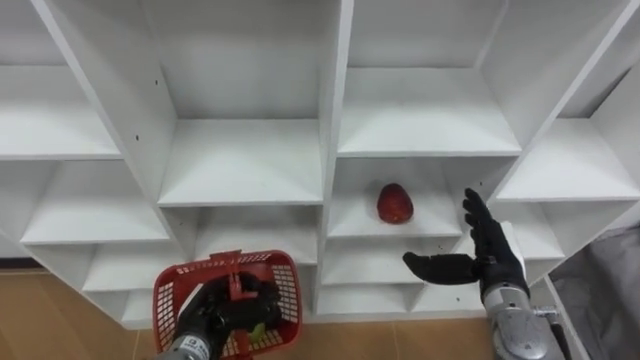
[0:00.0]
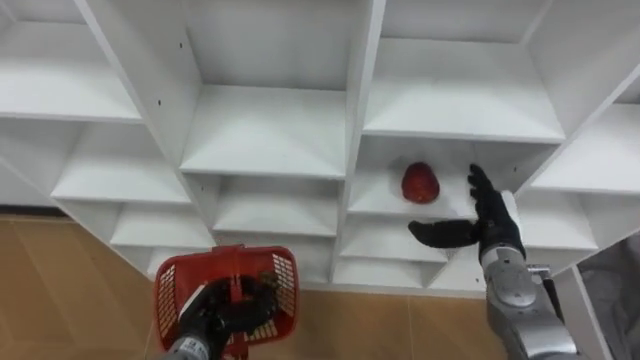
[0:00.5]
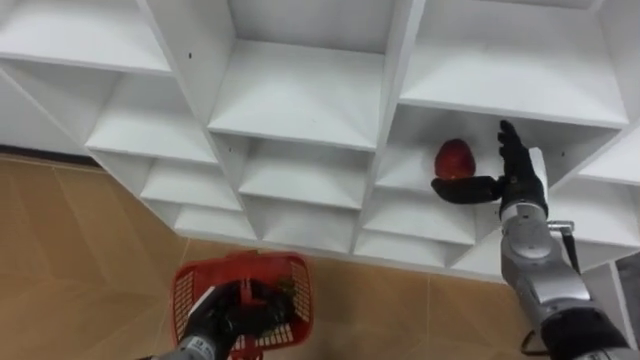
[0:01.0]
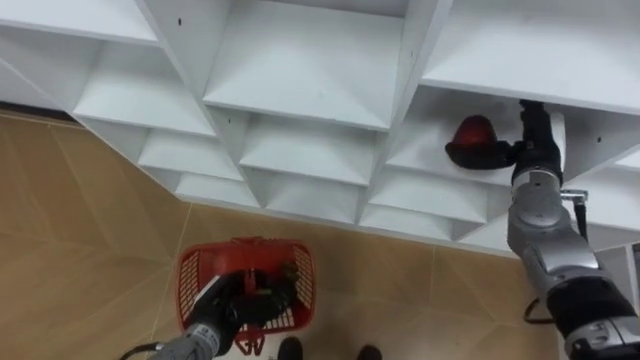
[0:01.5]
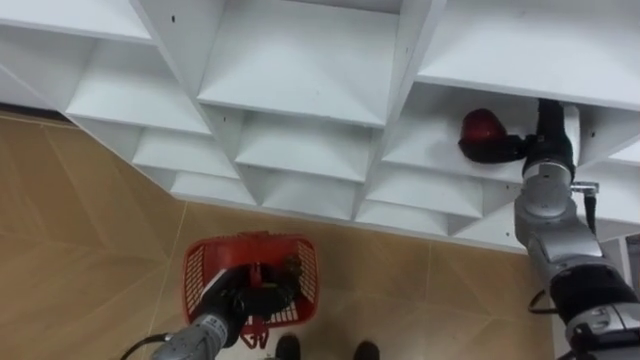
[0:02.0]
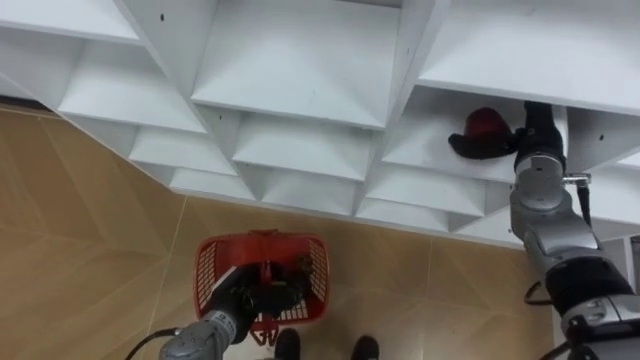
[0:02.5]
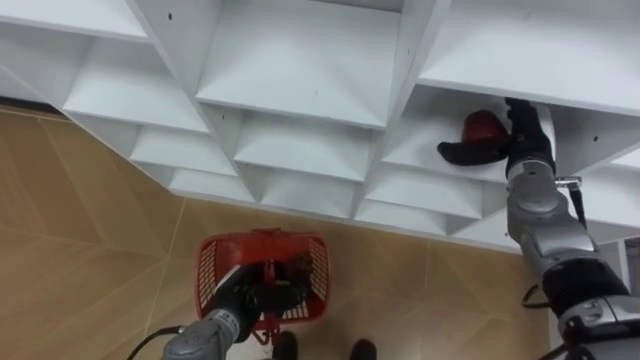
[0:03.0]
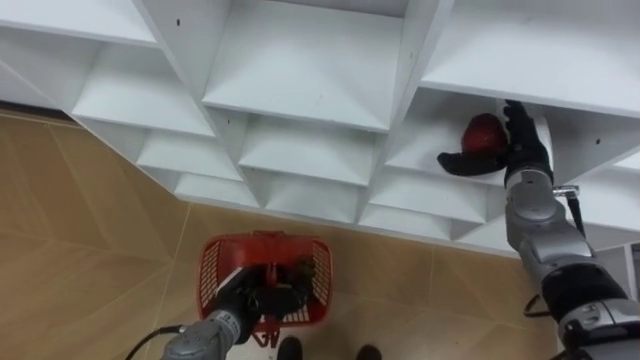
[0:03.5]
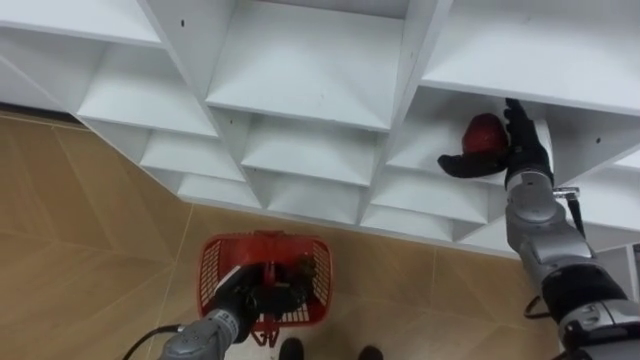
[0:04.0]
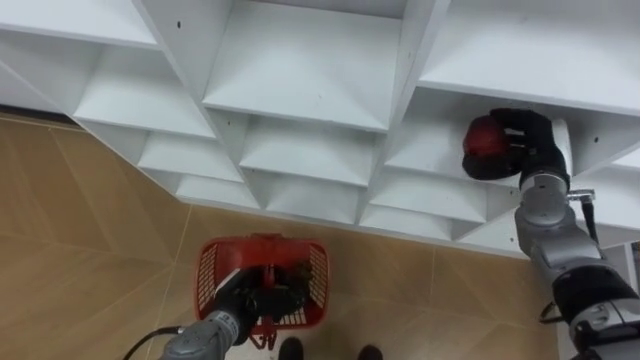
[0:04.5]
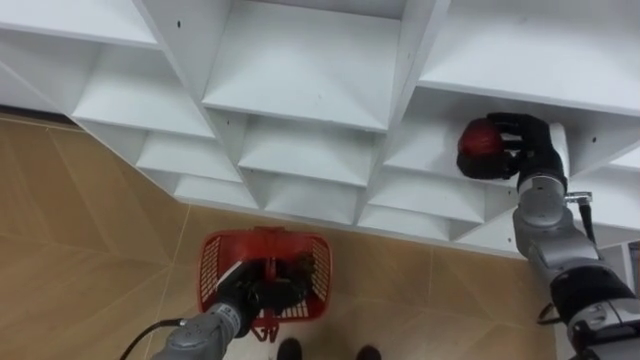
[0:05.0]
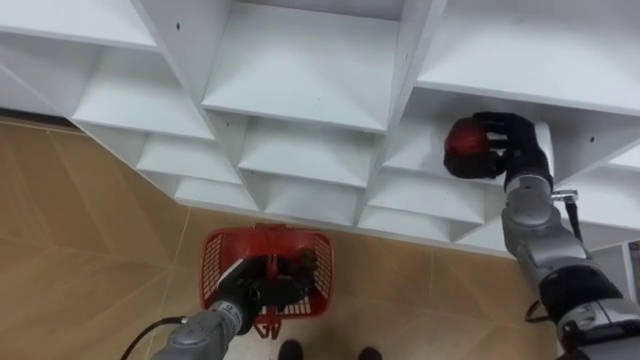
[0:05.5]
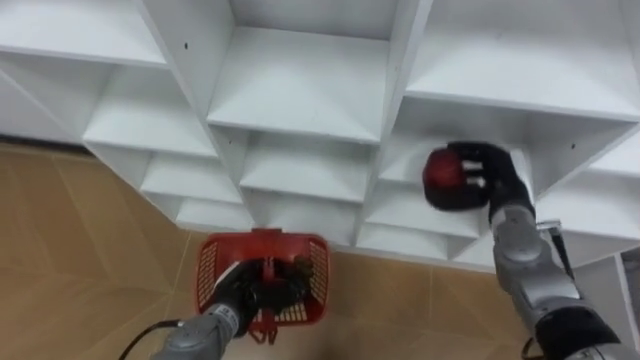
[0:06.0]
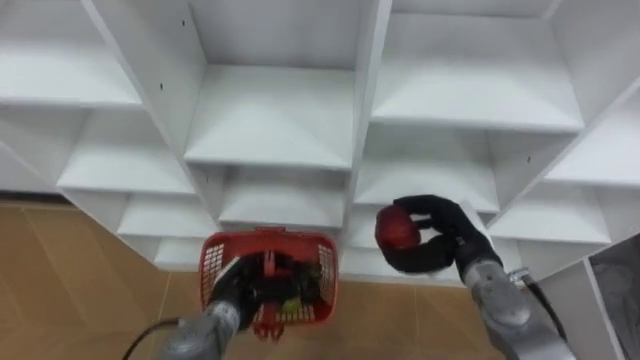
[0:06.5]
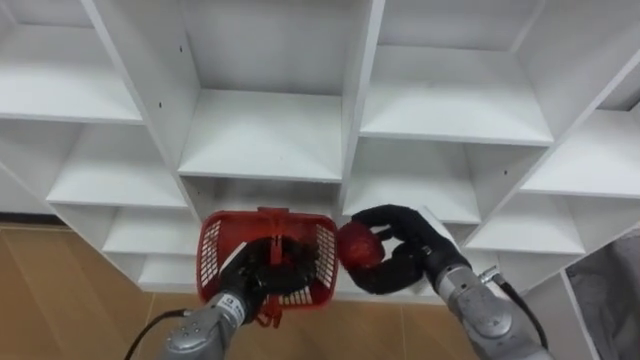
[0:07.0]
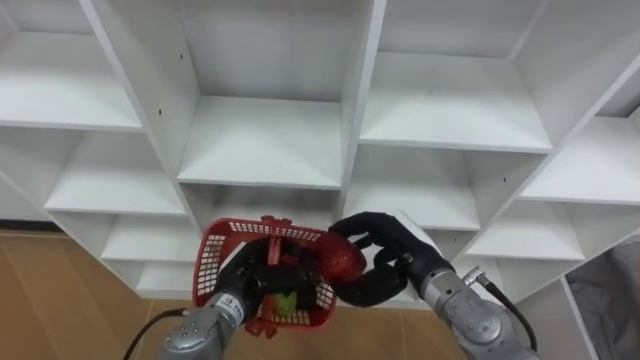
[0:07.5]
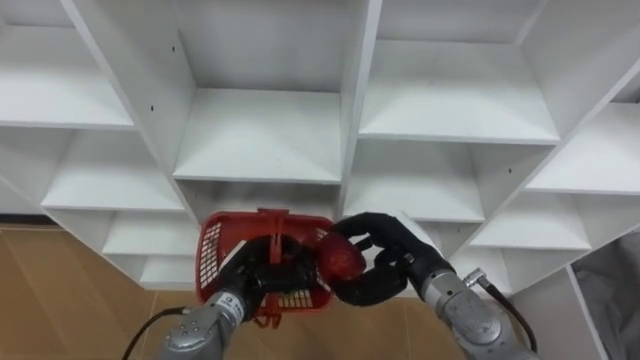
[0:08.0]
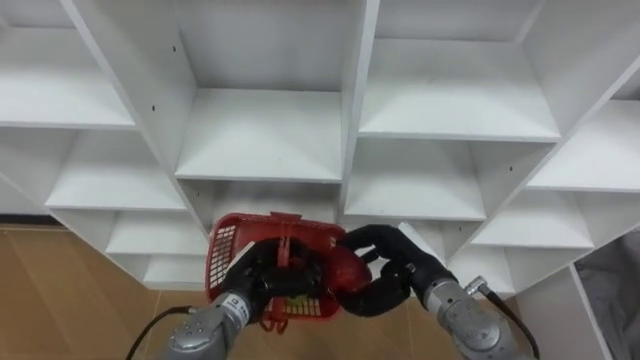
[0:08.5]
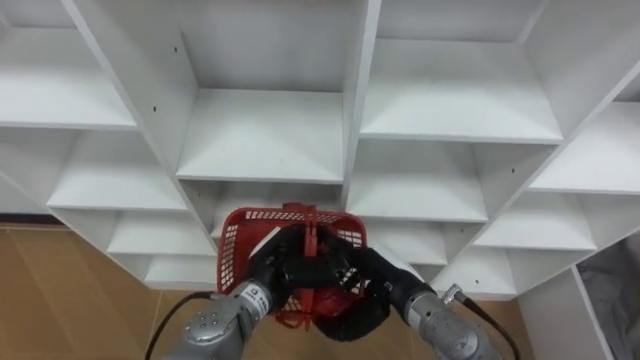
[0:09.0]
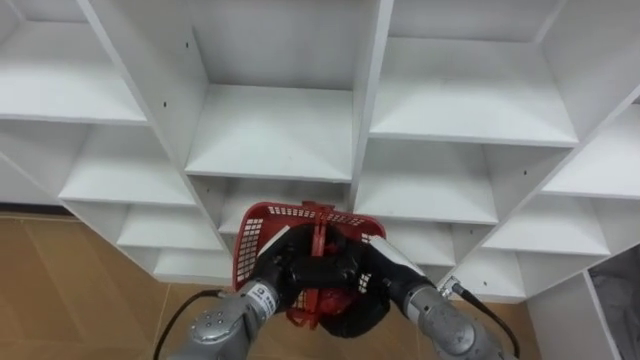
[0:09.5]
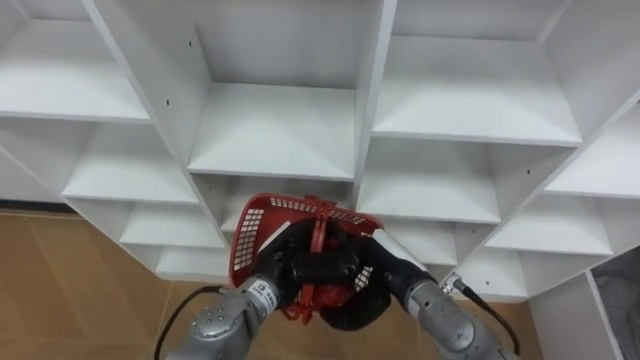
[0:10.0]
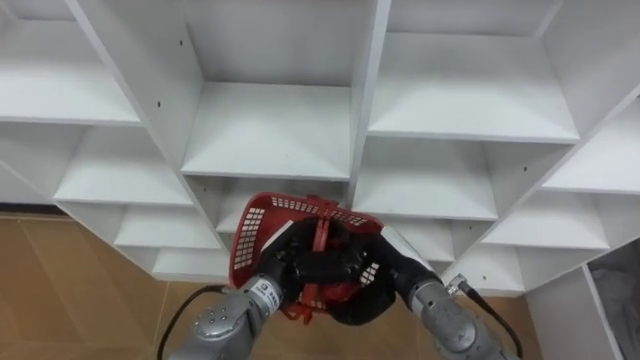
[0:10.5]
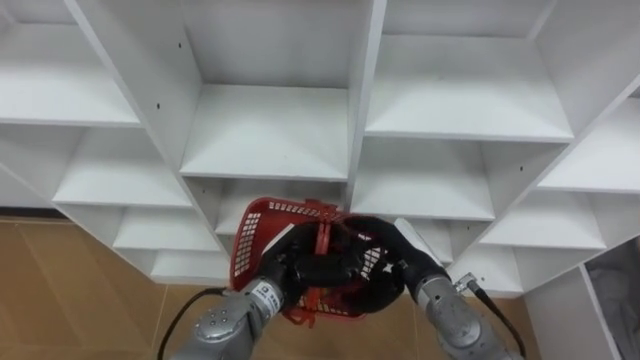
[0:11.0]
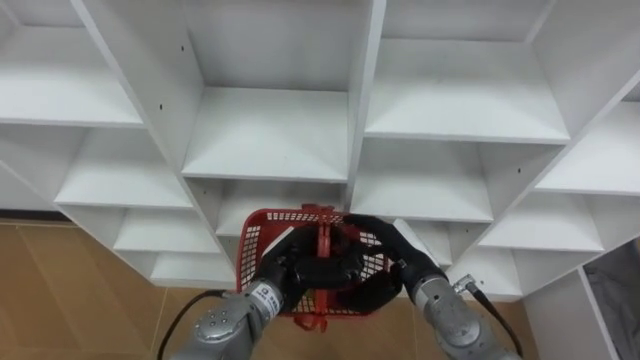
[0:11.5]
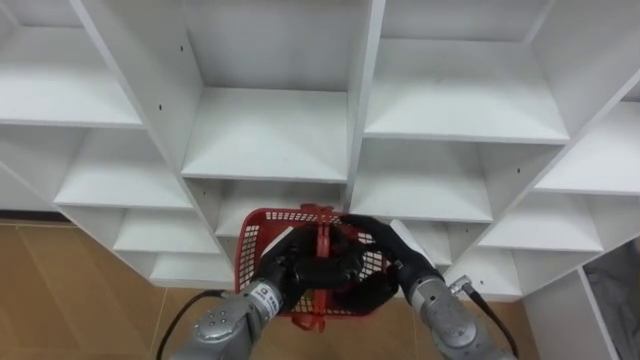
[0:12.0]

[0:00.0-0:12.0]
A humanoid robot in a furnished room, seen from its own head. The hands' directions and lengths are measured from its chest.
Task of the whole recording: Hold the basket and collect the fruits from 3 different cells of the closet into it.
0:00.0 to 0:02.0: The right hand is displaced forward, upward and to the right by roughly 15 cm.
0:04.0 to 0:06.0: The right hand closes up.
0:06.0 to 0:08.0: The right hand travels to the left and backward by about 15 cm.
0:08.0 to 0:10.0: The left hand goes roughly 5 cm to the right.
0:10.0 to 0:12.0: The right hand opens.

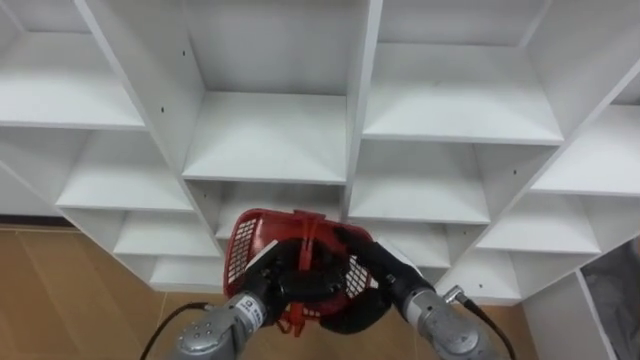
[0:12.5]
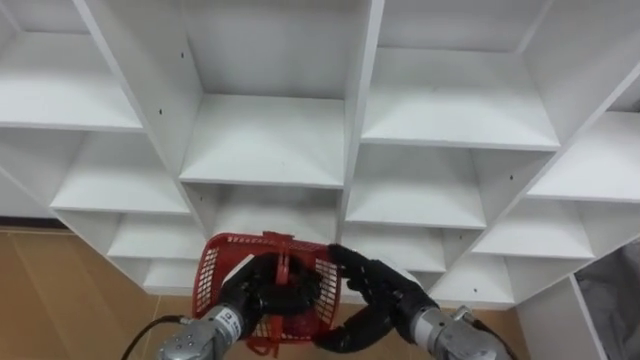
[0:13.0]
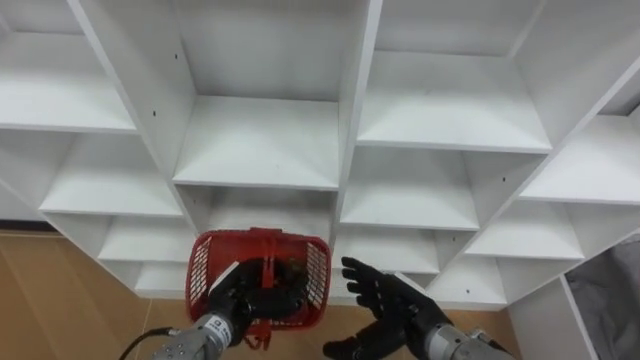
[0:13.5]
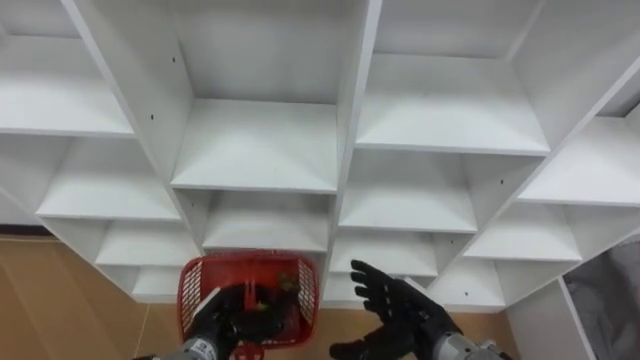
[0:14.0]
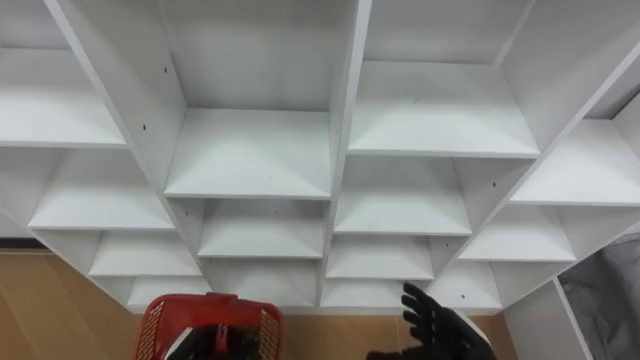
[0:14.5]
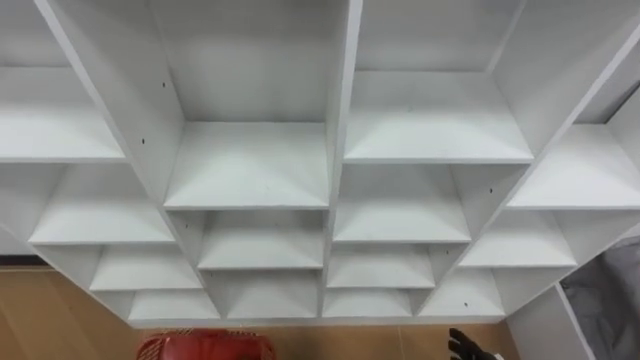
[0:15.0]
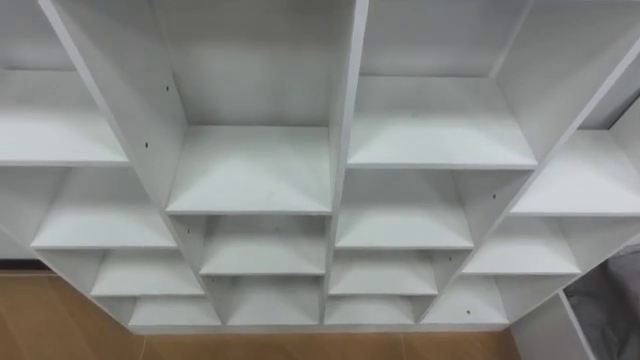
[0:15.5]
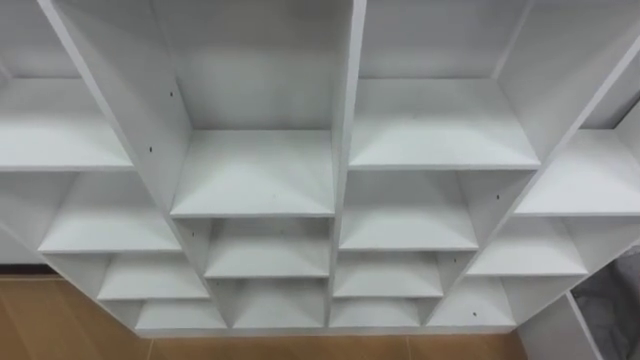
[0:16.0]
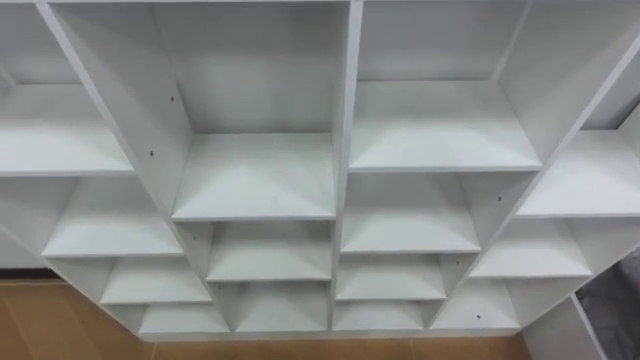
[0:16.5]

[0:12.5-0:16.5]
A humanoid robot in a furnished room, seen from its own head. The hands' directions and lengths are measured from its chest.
Task of the whole recording: Hold the basket and collect the fruits from 3 different cells of the closet into it.
0:12.5 to 0:14.5: The left hand goes approximately 15 cm to the left, backward and downward. The right hand shifts some 10 cm to the right and backward.

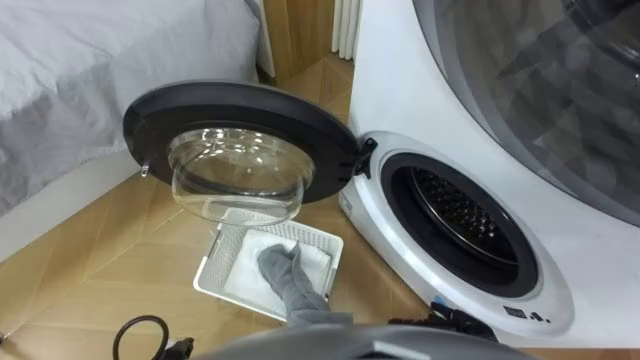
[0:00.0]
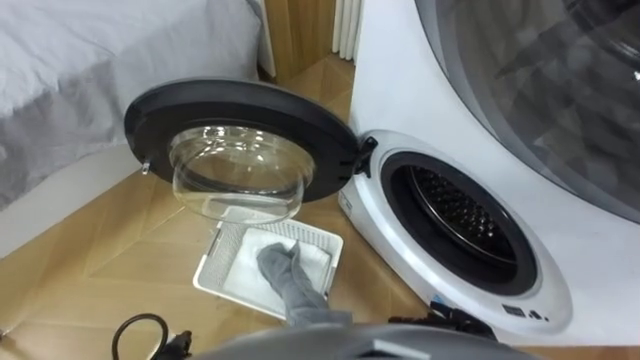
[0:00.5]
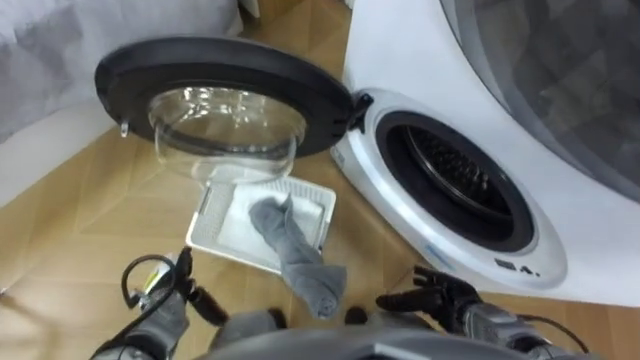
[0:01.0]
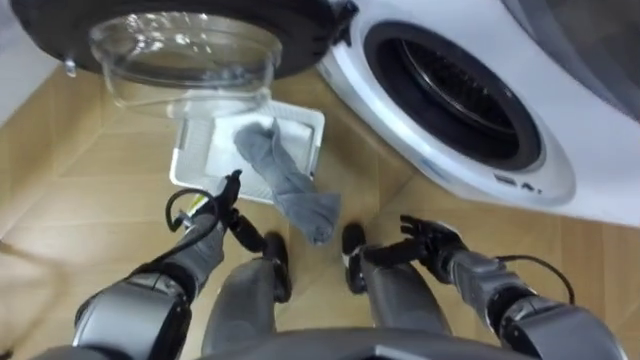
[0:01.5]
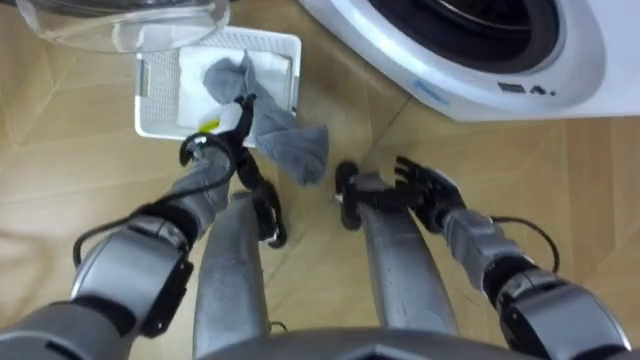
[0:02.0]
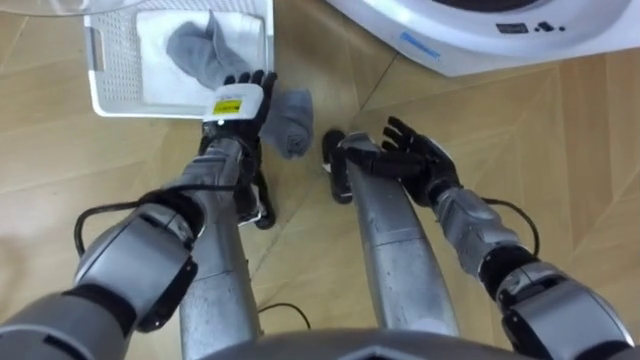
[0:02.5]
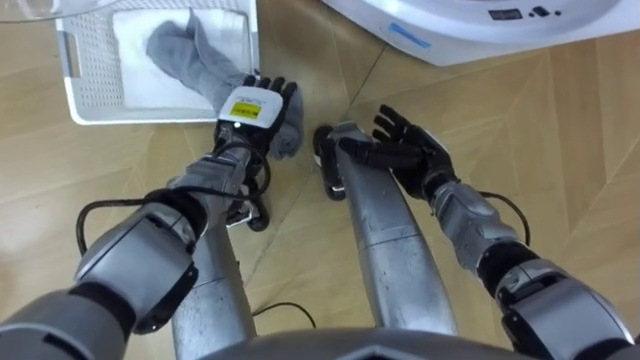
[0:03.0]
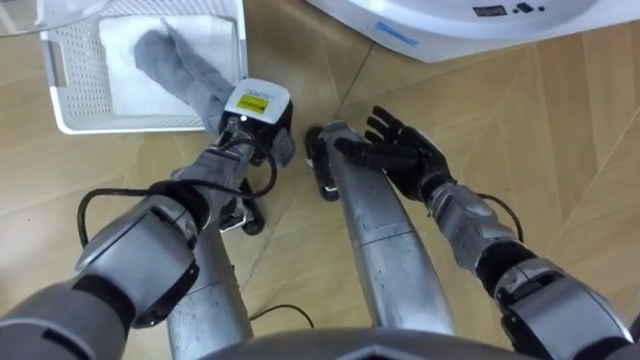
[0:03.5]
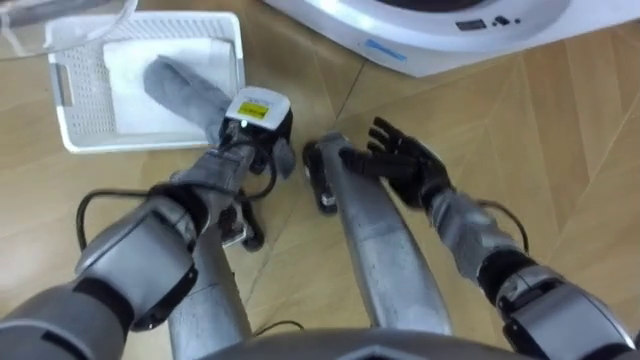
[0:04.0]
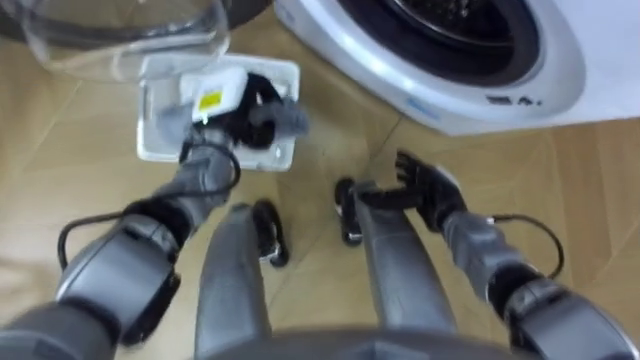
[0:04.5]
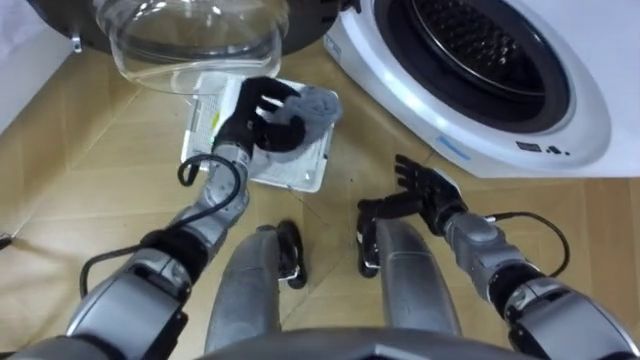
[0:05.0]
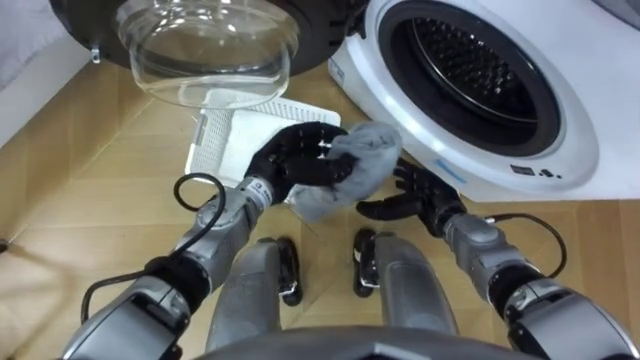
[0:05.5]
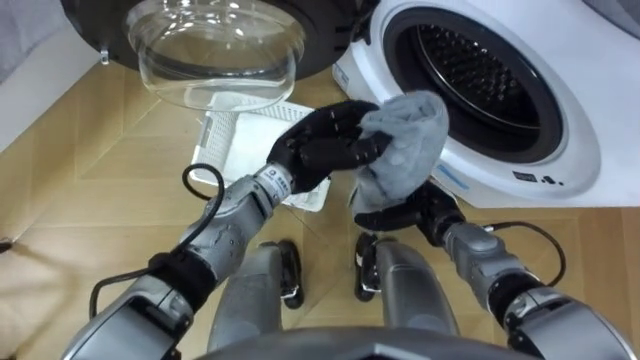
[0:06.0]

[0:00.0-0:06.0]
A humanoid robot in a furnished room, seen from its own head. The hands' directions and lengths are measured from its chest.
Task of the whole recording: Take the towel from the basket and put it into the washing machine.
0:02.0 to 0:04.0: The left hand shifts some 5 cm to the right, and closes up. Meanwhile the right hand moves roughly 5 cm.
0:04.0 to 0:06.0: The right hand moves some 5 cm. Meanwhile the left hand travels to the right and backward by some 10 cm.
